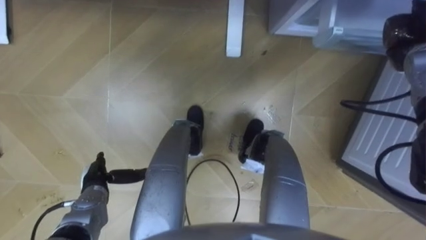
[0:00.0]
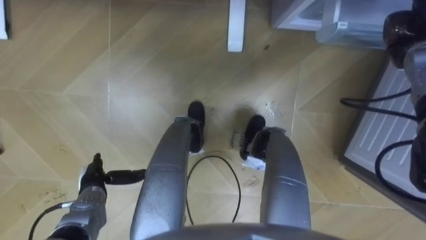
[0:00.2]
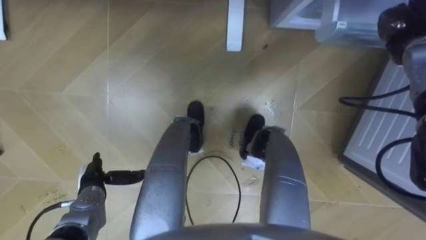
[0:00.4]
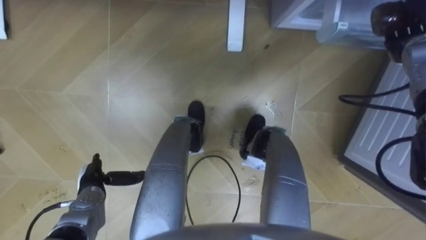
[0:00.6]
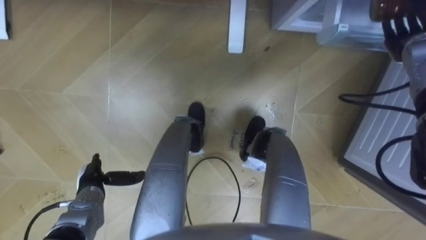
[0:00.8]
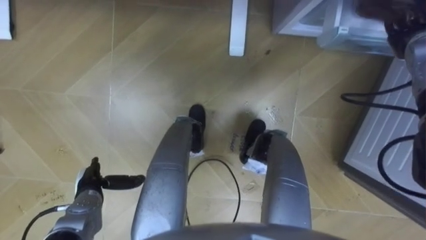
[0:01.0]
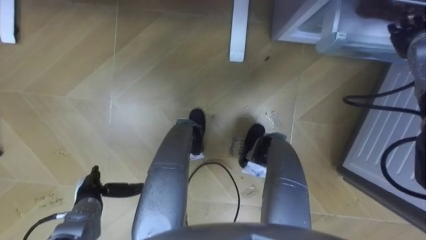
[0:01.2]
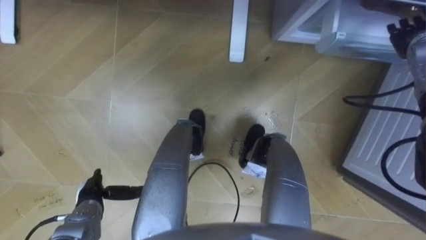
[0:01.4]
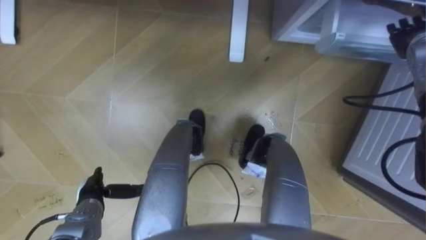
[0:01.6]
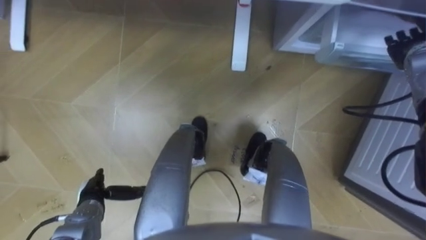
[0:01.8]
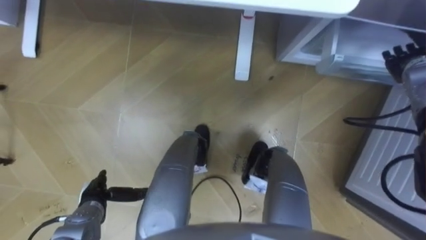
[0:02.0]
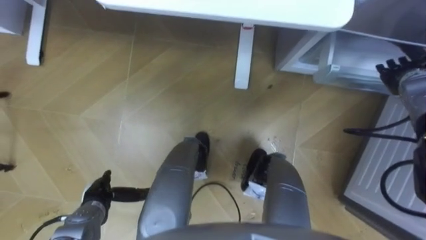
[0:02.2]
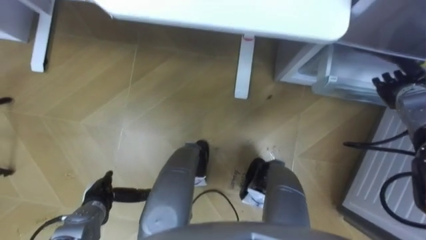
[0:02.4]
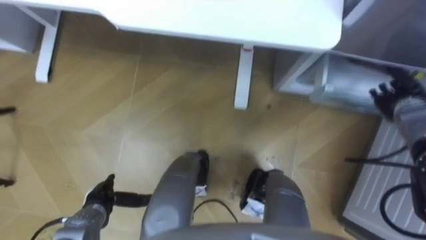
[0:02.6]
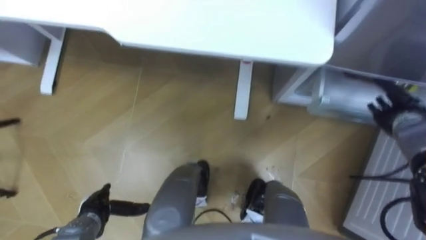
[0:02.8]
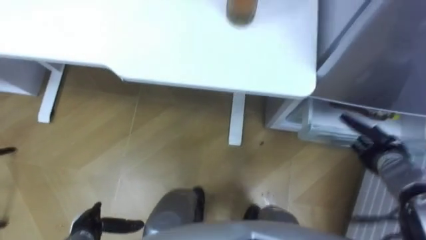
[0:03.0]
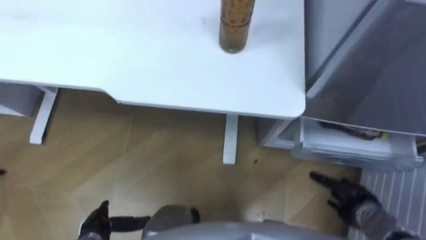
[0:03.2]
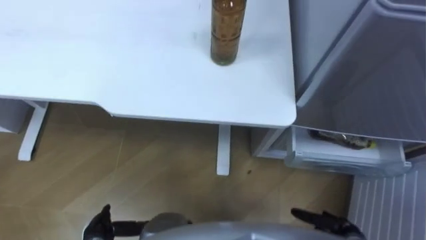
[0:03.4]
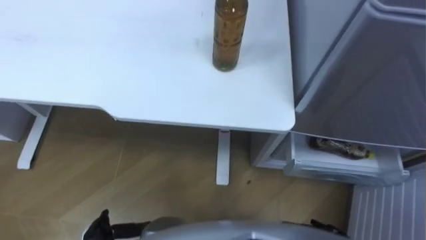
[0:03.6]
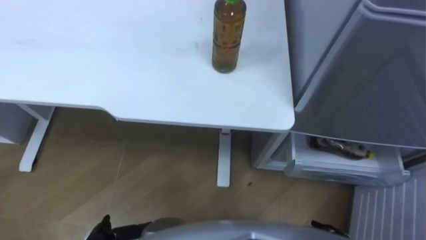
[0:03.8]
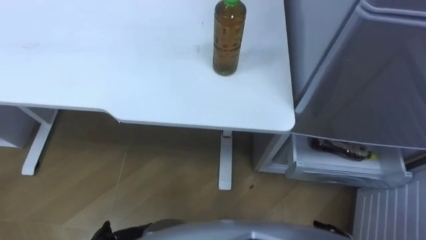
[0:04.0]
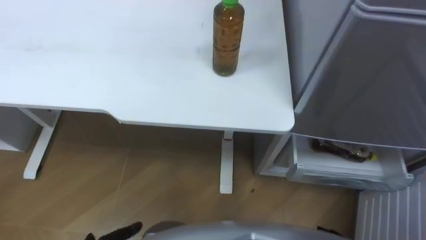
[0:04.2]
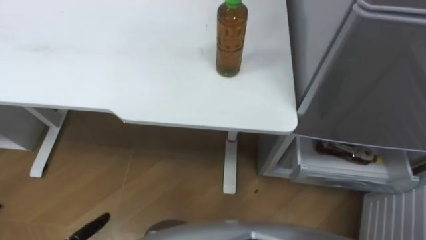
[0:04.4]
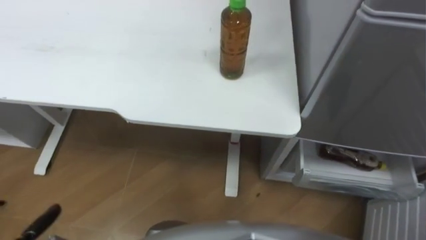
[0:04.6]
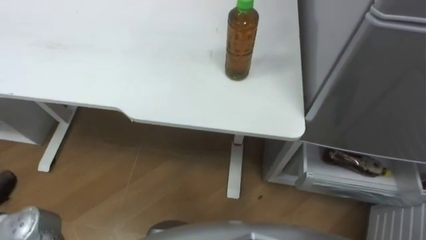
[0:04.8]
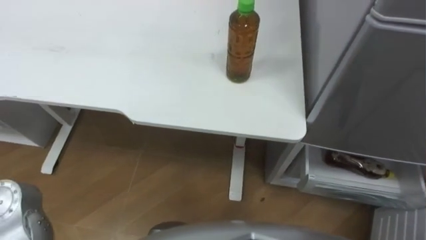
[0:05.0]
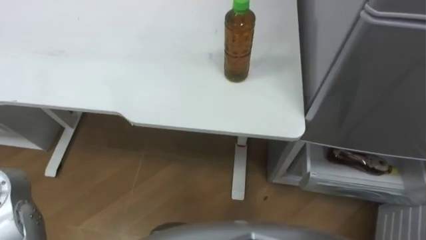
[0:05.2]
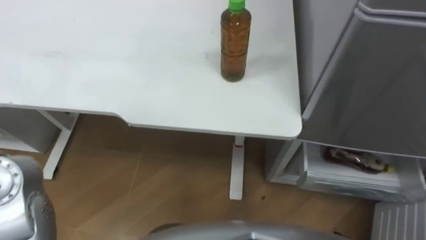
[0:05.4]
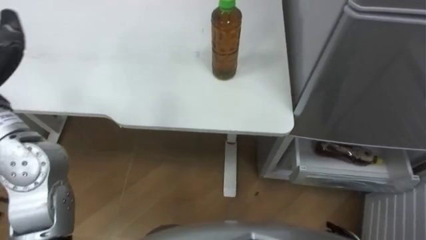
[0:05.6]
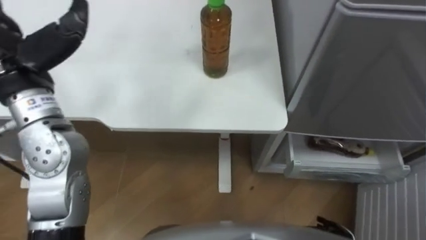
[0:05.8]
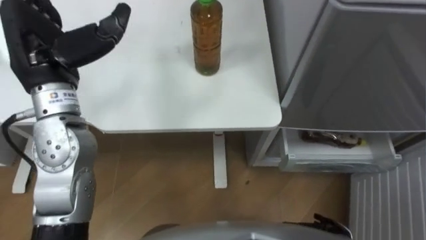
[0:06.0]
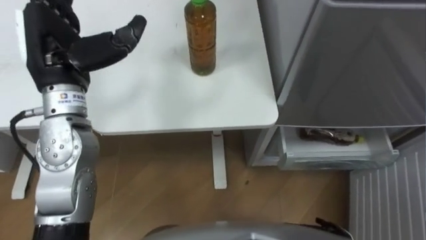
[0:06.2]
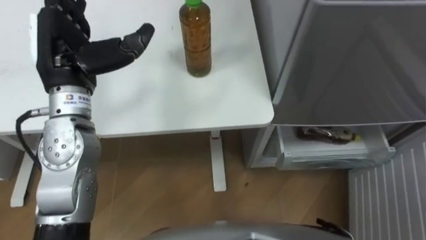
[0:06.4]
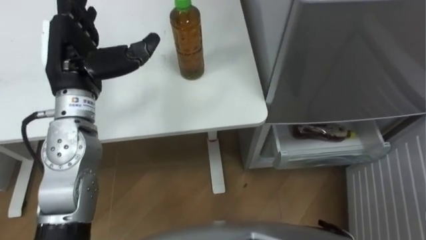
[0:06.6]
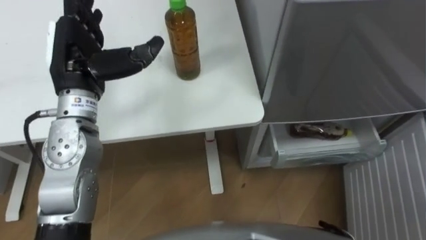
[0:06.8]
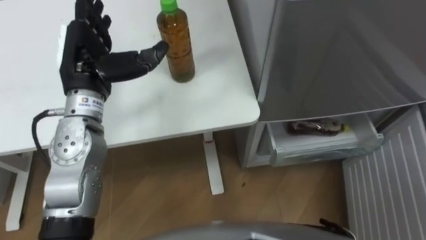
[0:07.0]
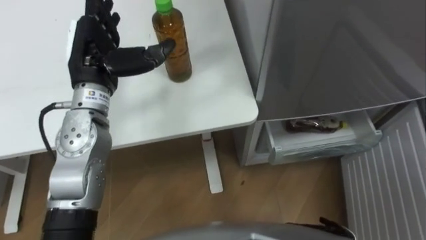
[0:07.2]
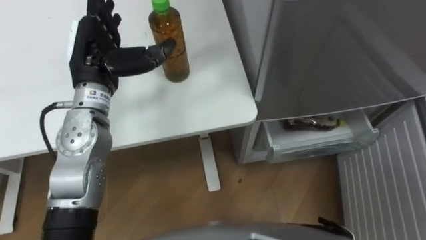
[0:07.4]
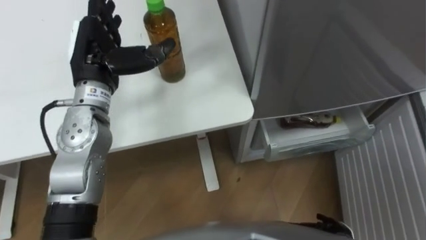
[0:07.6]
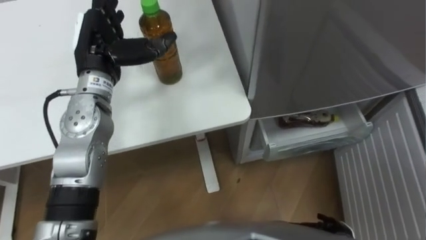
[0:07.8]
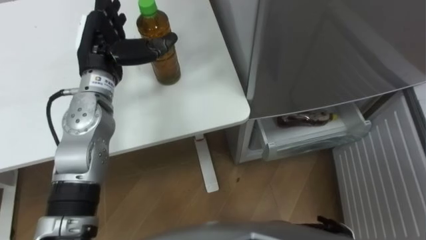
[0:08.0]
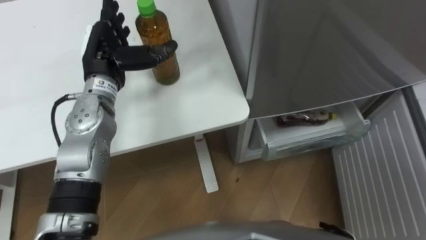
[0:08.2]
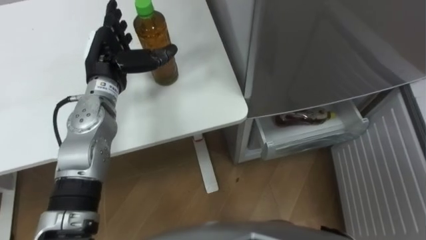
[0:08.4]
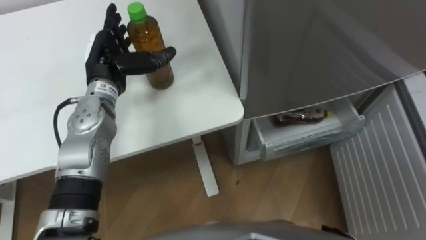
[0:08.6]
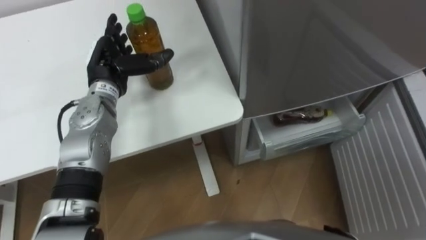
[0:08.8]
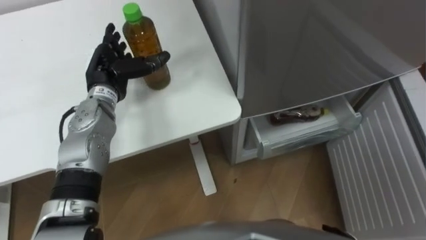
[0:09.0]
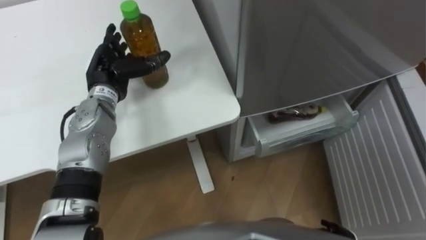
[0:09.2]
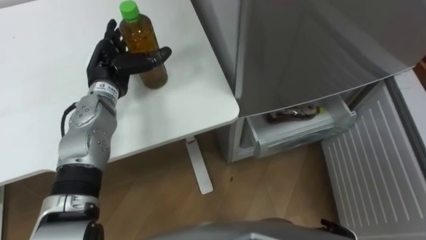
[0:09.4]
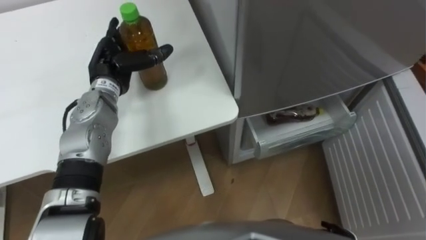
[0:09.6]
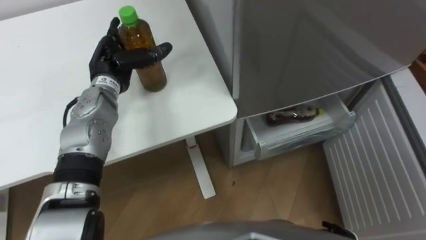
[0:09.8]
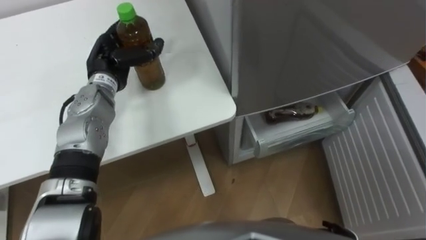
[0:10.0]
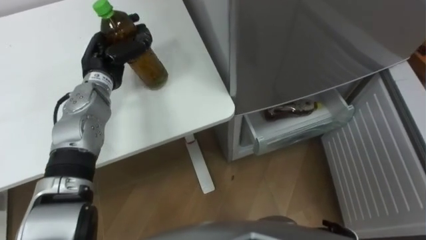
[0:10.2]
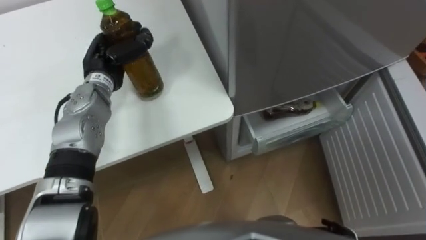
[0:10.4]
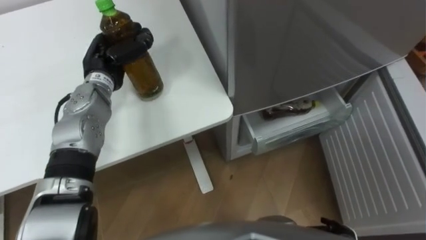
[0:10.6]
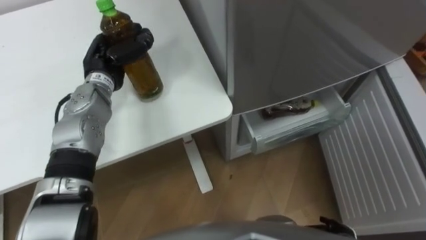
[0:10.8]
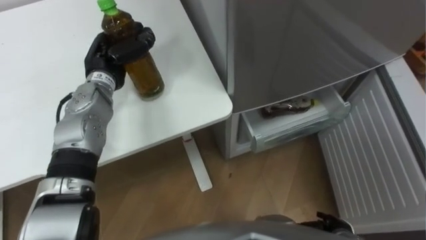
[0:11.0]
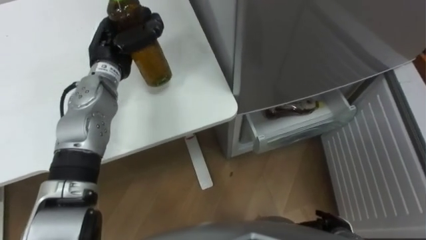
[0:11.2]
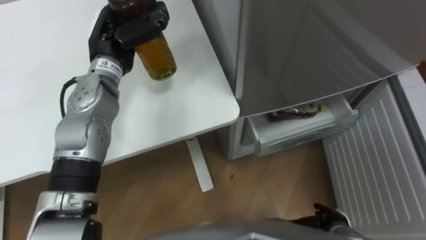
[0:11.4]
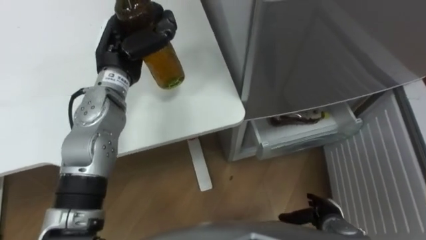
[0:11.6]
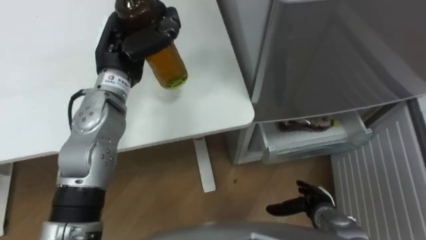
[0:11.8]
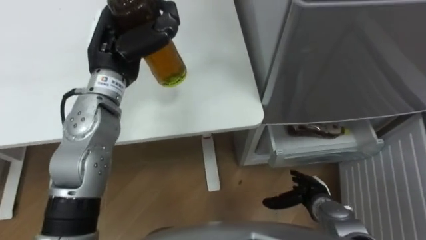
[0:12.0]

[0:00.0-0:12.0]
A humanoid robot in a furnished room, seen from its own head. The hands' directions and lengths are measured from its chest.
Task of the whole recording: Place the drink on the table on the bottom shelf of the refrigerator, then close the drawer and the refrigerator door.
0:00.0 to 0:01.6: The right hand opens up.
0:01.6 to 0:03.0: The left hand heads backward, covering approximately 5 cm, while the right hand is displaced downward and backward by some 25 cm.
0:06.0 to 0:07.6: The left hand shifts roughly 5 cm downward.
0:07.6 to 0:09.0: The left hand goes roughly 10 cm downward.
0:09.0 to 0:10.4: The left hand closes up.
0:10.4 to 0:12.0: The left hand heads upward and to the right, covering some 10 cm.

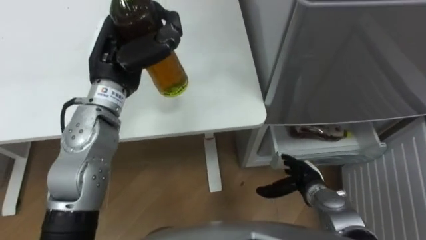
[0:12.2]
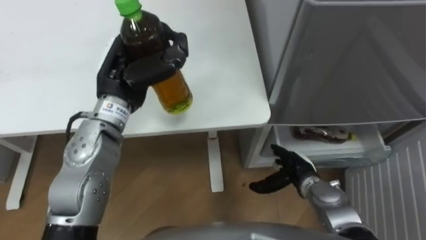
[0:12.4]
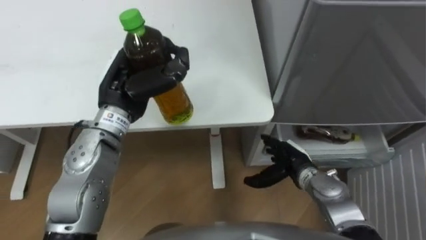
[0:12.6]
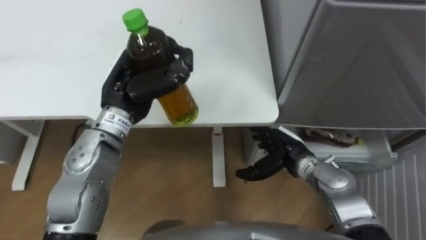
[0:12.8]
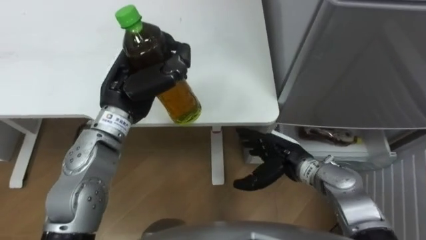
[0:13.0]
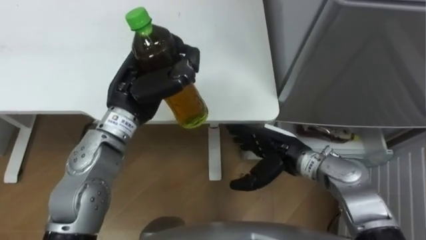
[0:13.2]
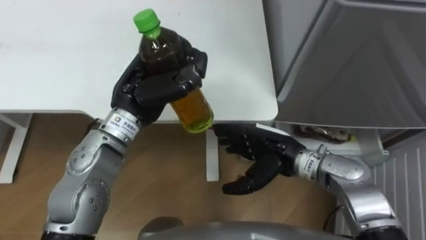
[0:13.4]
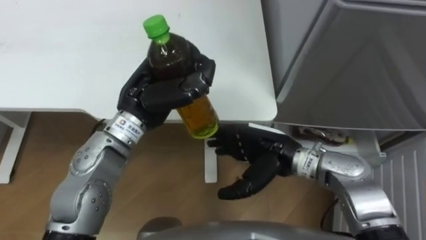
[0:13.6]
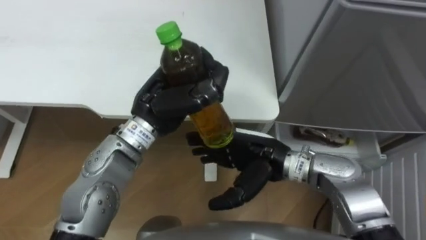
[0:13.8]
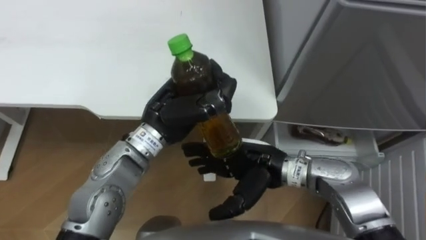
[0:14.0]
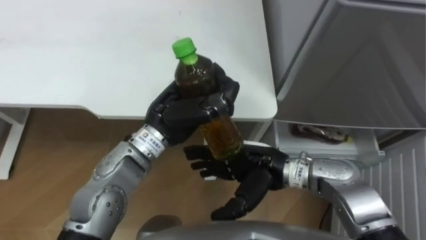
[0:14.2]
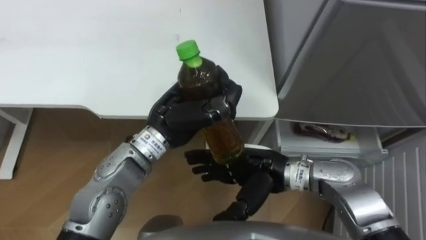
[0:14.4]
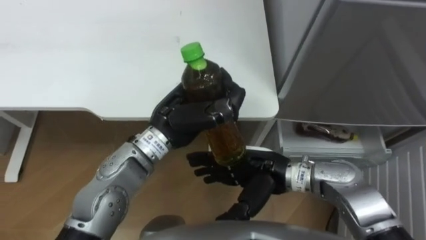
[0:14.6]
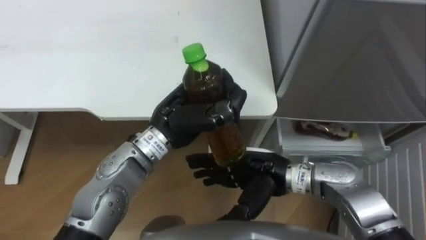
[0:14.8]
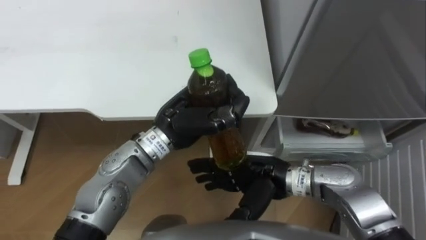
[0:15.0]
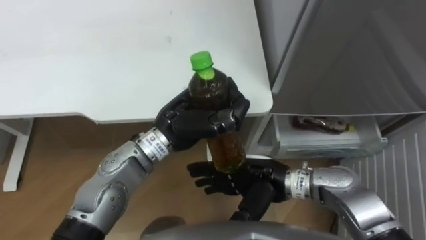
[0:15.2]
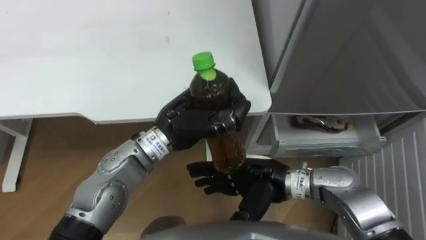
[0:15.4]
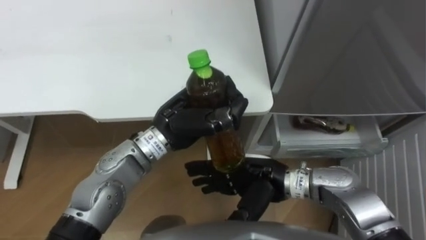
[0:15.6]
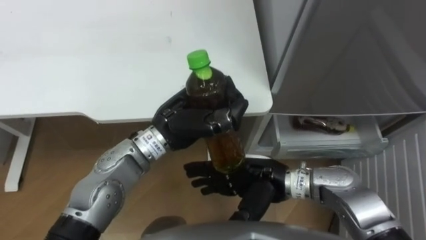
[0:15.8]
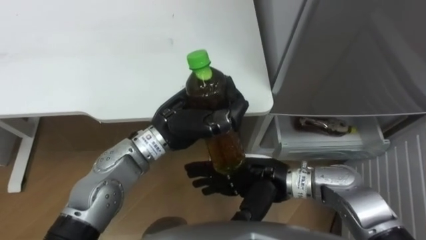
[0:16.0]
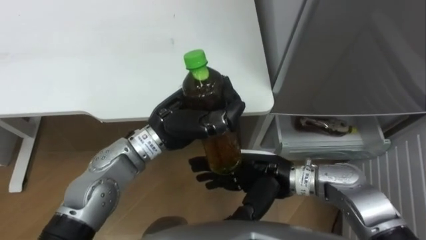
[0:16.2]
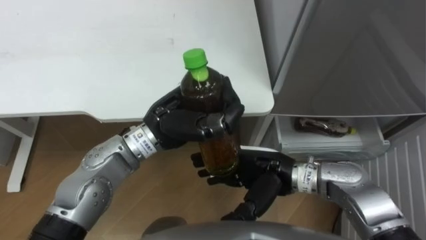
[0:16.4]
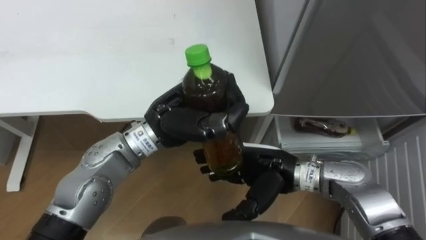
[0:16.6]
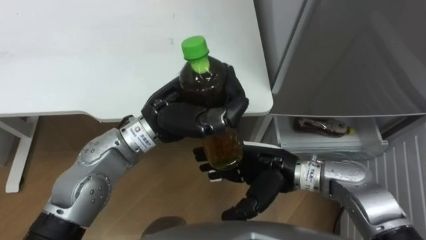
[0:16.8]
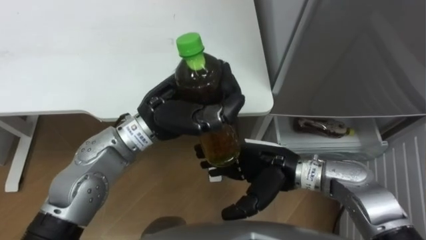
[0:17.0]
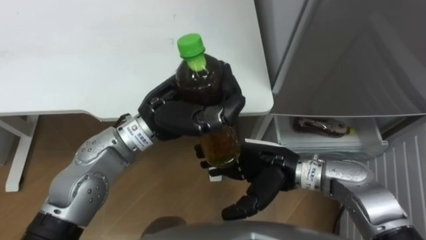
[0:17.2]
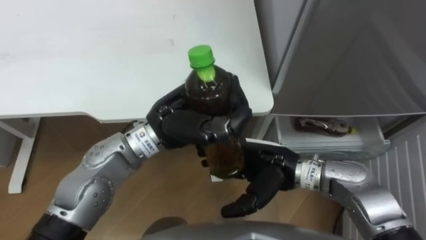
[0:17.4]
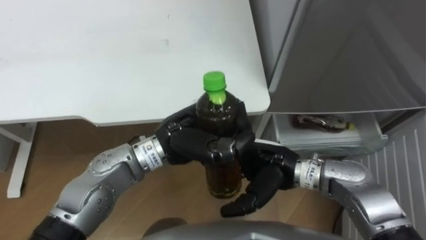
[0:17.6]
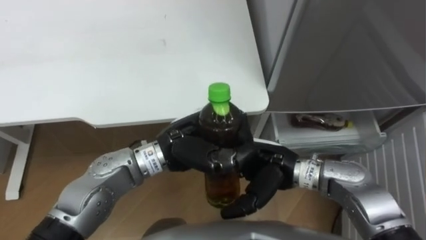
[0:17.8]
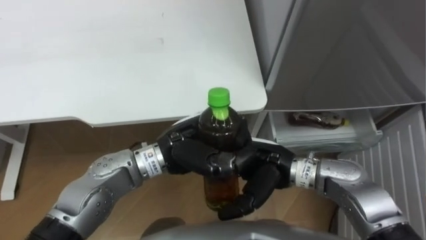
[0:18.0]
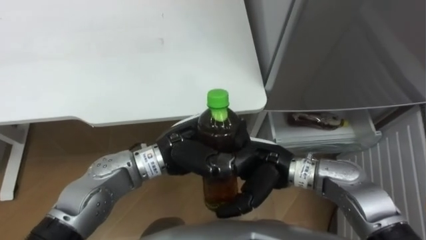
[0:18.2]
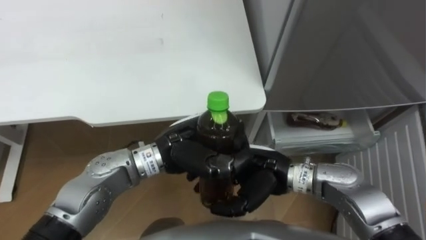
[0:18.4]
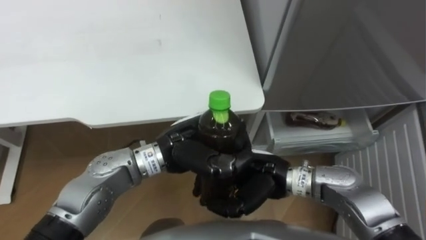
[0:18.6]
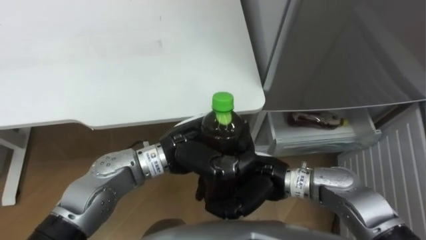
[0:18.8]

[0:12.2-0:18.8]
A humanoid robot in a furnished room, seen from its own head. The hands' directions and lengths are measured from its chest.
Task of the whole recording: Place the drink on the table on the bottom shelf of the refrigerator, then close the drawer and the refrigerator door.
0:12.2 to 0:13.8: The left hand moves to the right, roughly 5 cm. Meanwhile the right hand moves upward and to the left, about 20 cm.
0:13.8 to 0:15.4: The left hand shifts by some 5 cm.
0:15.4 to 0:17.2: The left hand ends up approximately 5 cm from where it was.
0:17.2 to 0:18.8: The right hand closes. The left hand shifts some 5 cm downward.
